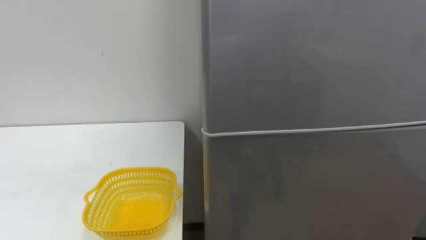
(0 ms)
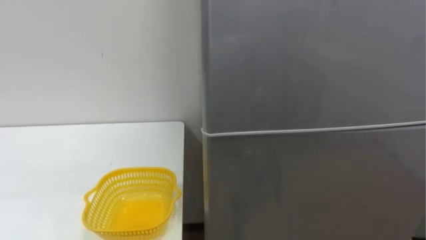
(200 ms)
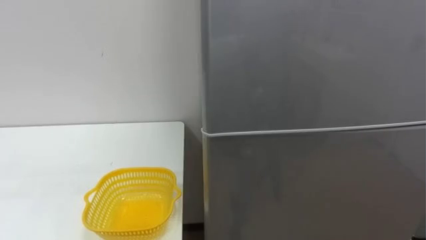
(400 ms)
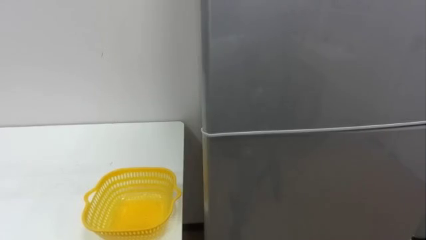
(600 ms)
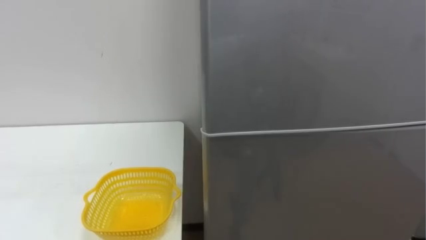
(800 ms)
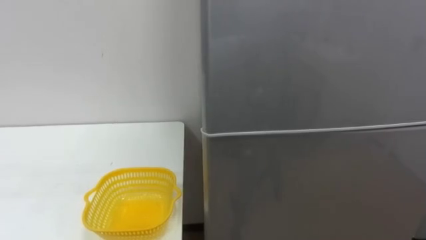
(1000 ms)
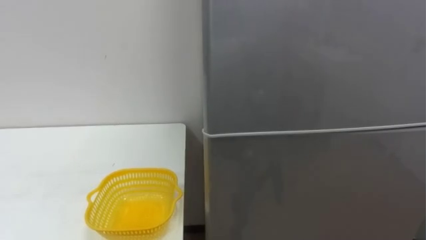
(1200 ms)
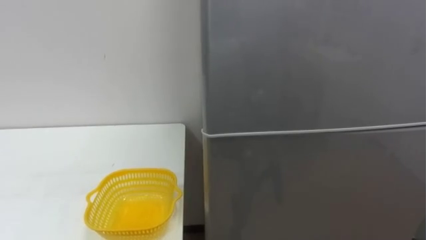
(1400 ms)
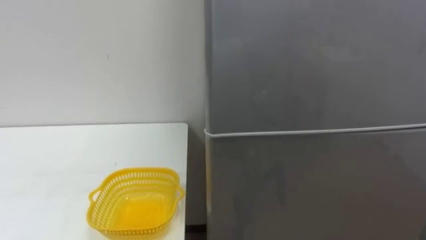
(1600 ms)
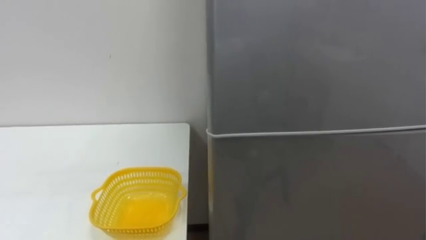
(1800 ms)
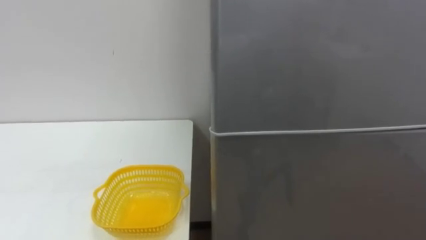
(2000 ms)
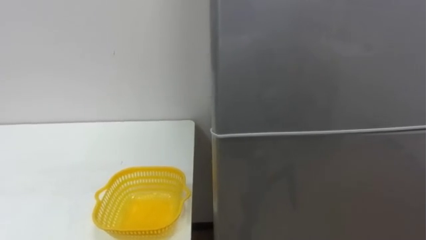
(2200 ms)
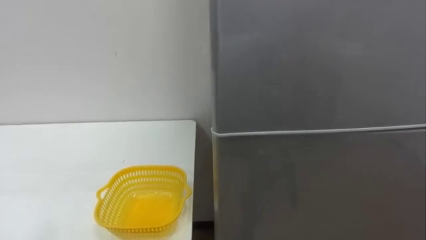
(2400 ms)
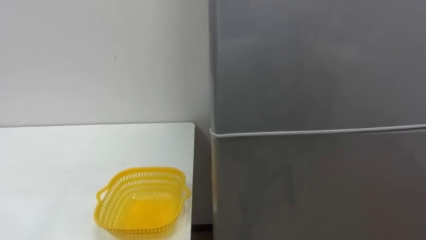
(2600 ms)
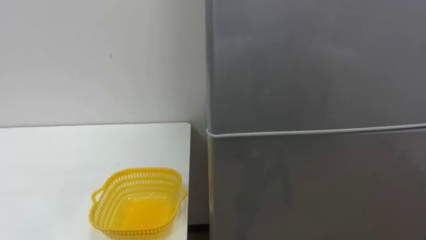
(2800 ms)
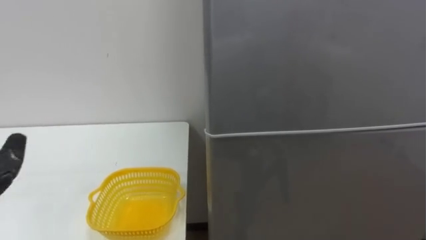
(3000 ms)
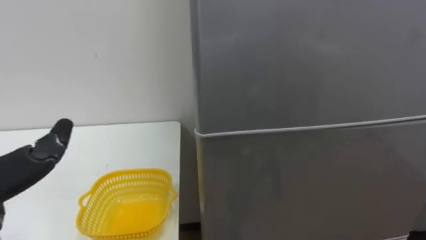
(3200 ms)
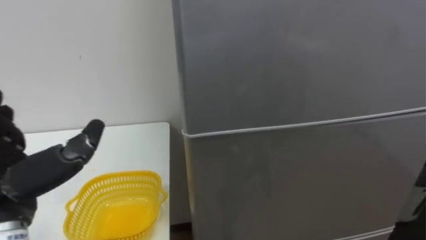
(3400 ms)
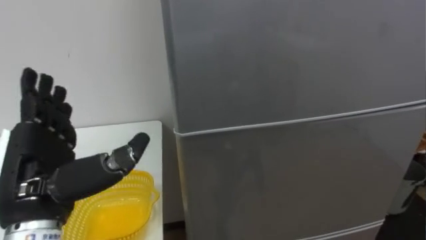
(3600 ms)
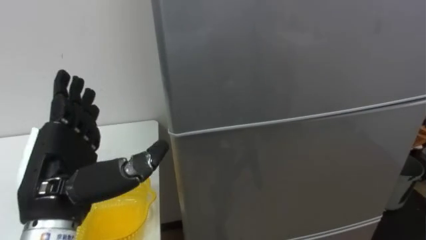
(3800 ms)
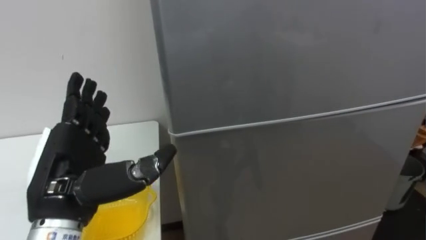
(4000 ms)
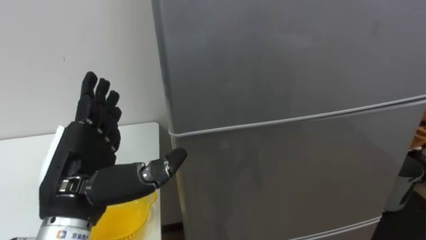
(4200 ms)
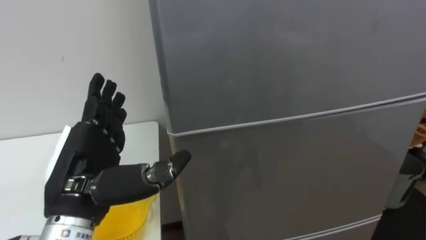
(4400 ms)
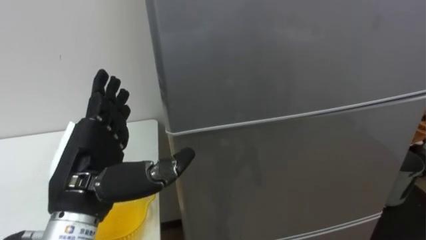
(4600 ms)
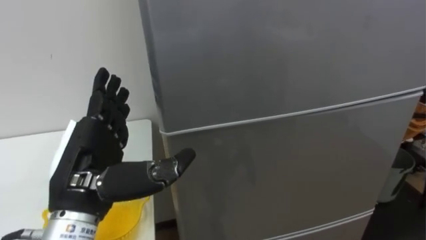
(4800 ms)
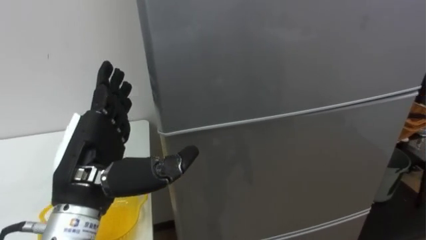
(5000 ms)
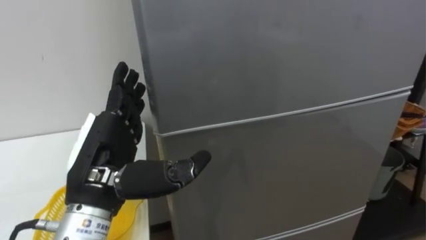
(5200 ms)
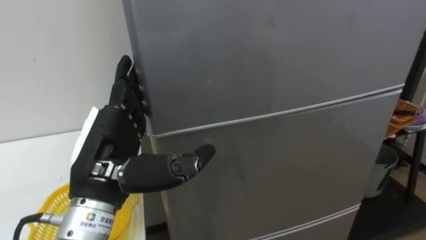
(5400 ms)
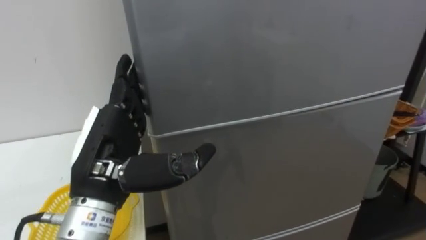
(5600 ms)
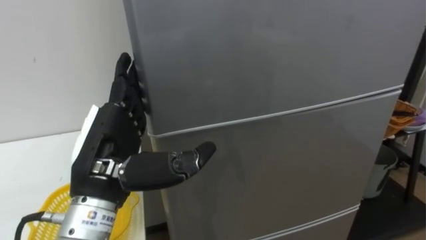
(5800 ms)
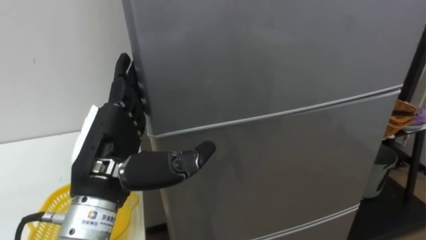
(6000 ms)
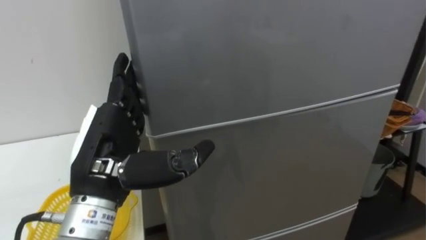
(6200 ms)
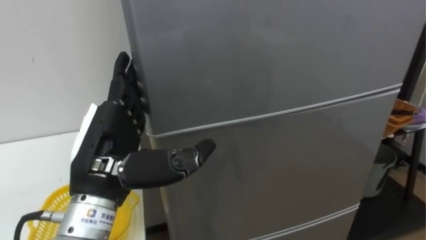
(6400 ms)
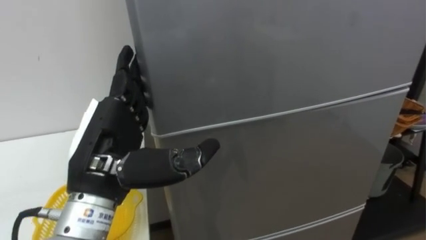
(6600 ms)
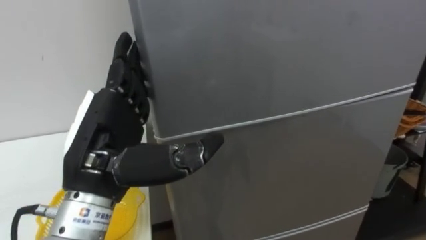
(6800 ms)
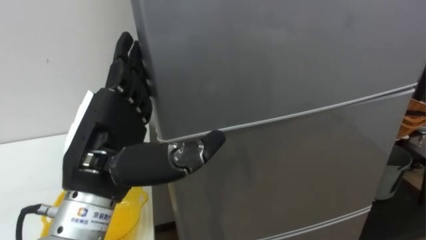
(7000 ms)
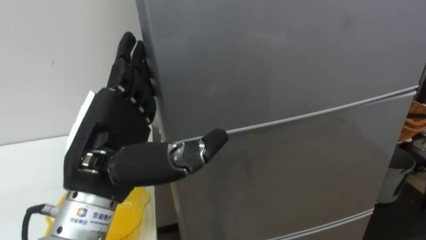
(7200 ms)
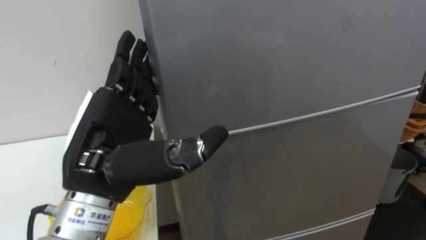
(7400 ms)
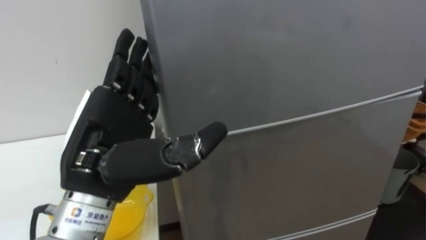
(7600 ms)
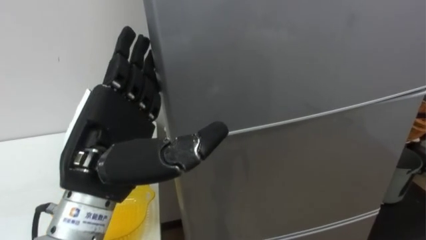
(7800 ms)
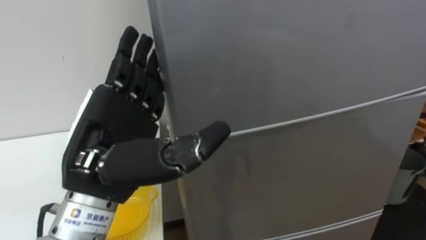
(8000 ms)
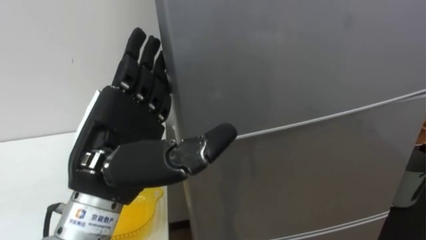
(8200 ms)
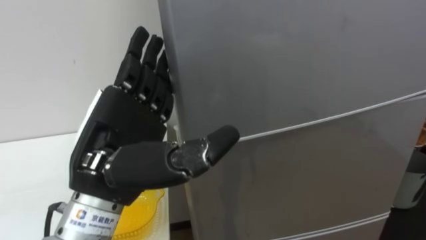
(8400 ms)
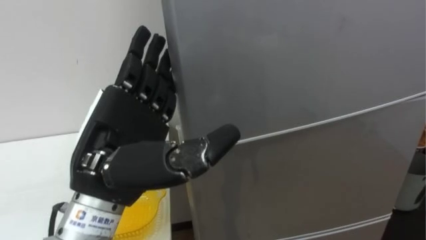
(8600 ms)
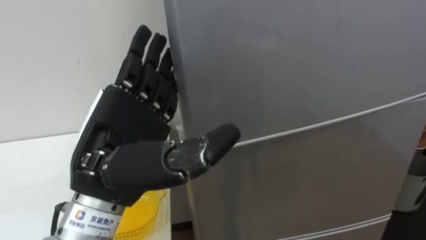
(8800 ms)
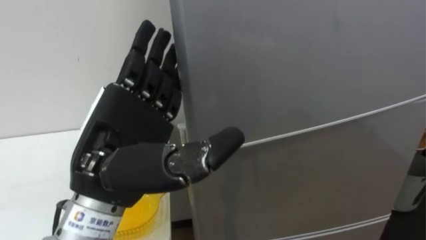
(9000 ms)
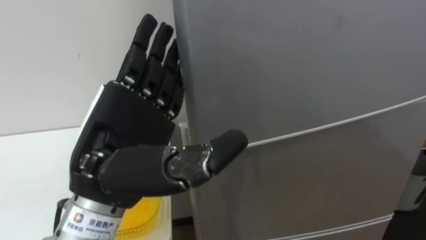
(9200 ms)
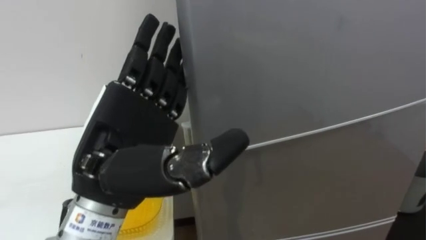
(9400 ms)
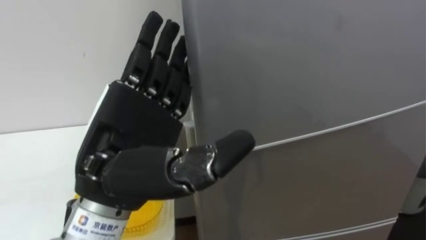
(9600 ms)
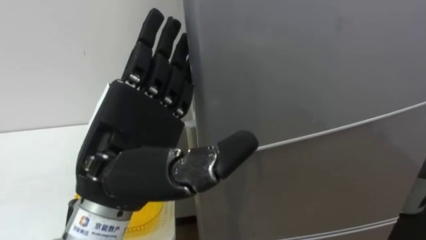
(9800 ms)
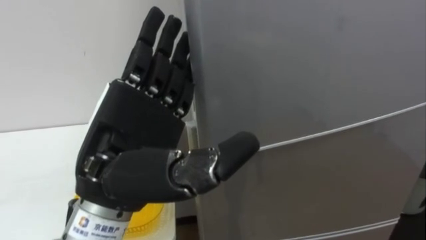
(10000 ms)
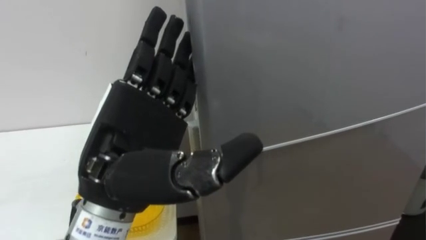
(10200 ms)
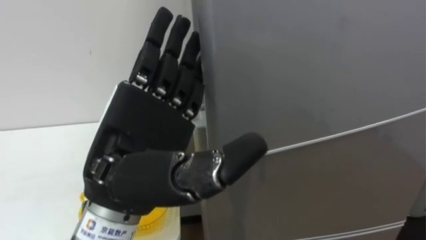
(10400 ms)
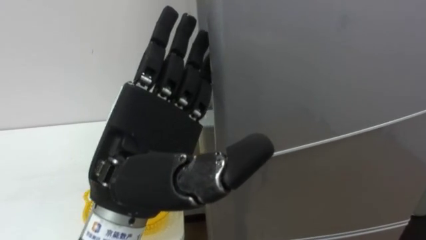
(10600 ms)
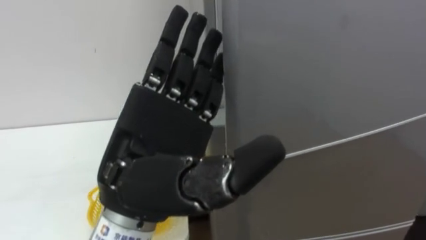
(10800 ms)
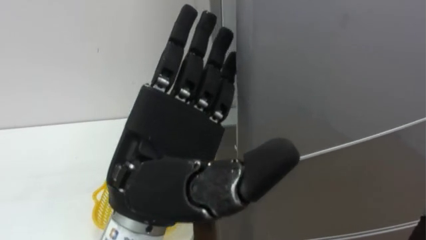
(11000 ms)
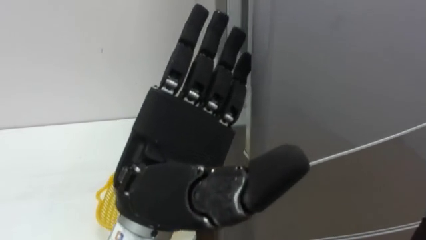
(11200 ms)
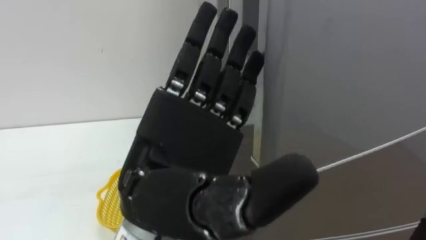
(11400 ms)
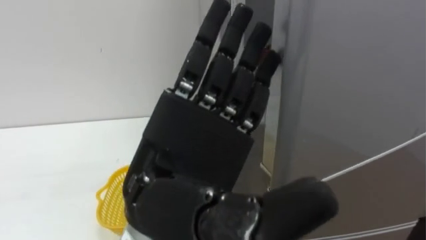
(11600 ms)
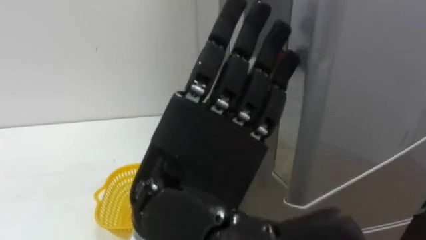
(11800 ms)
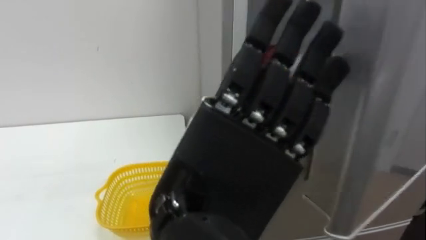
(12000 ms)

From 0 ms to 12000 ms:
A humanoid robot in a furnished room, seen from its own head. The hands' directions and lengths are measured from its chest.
Task of the whole recording: Open the refrigerator door, take out the apple and the pomegranate, place them in the fruit basket on the left, and close the refrigerator door.
From 10400 ms to 12000 ms: The left hand shifts about 10 cm to the right and backward.

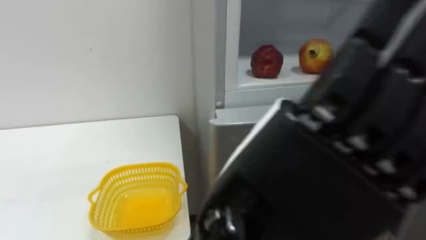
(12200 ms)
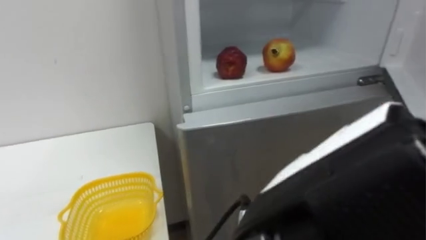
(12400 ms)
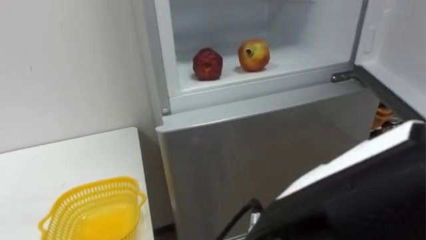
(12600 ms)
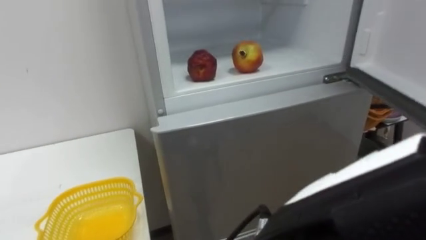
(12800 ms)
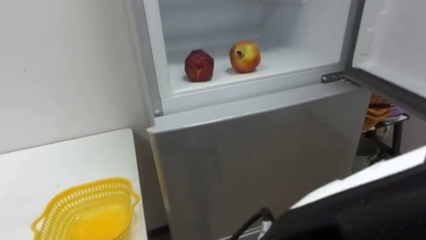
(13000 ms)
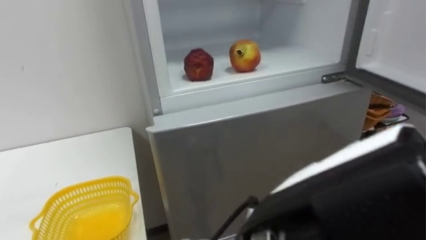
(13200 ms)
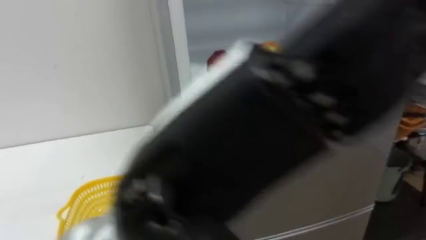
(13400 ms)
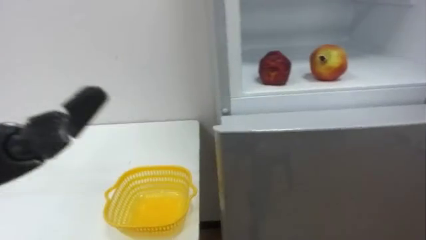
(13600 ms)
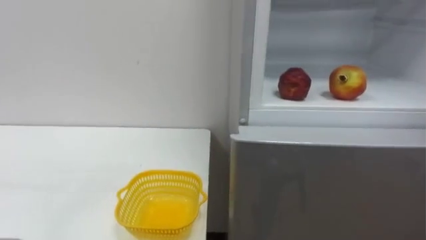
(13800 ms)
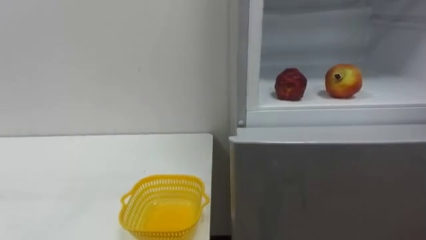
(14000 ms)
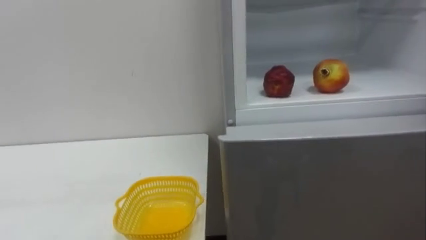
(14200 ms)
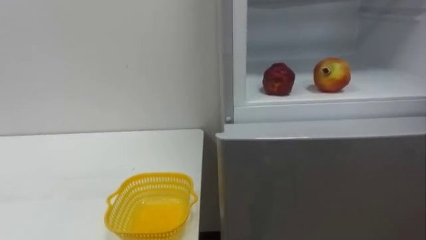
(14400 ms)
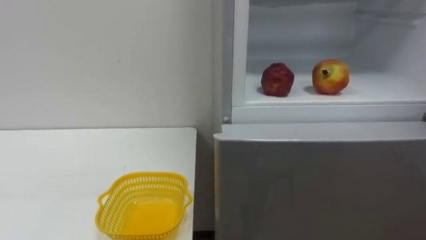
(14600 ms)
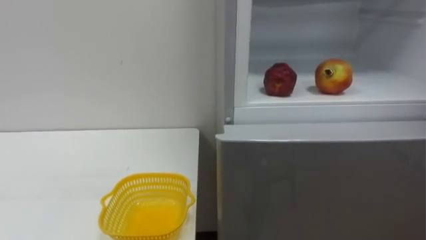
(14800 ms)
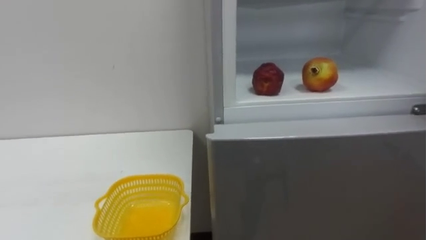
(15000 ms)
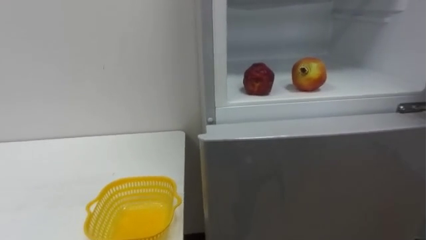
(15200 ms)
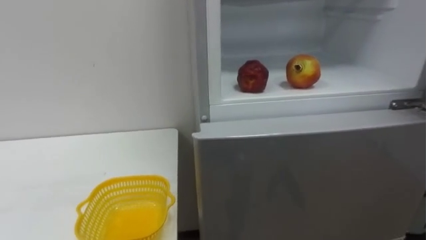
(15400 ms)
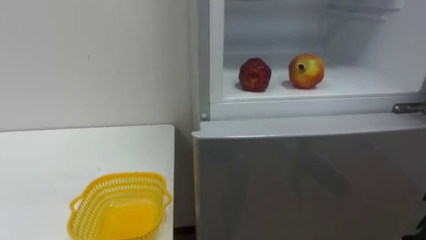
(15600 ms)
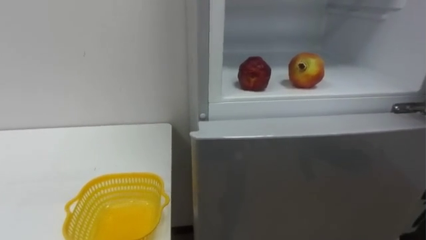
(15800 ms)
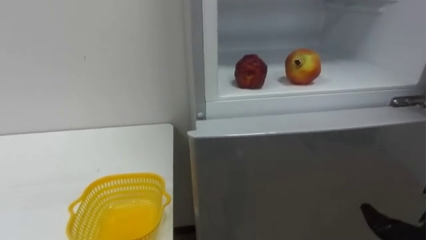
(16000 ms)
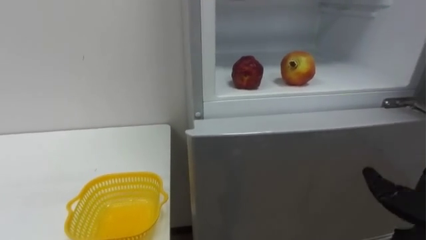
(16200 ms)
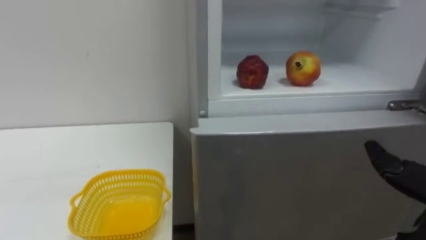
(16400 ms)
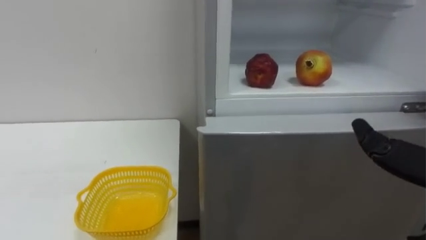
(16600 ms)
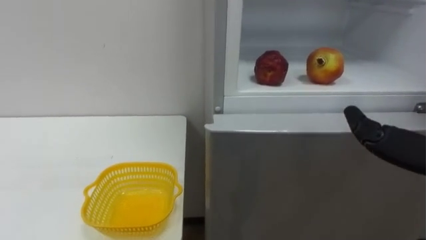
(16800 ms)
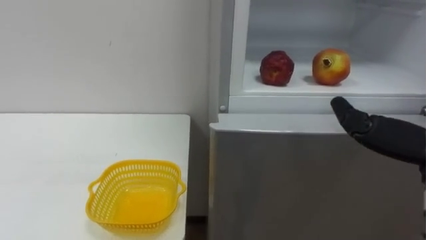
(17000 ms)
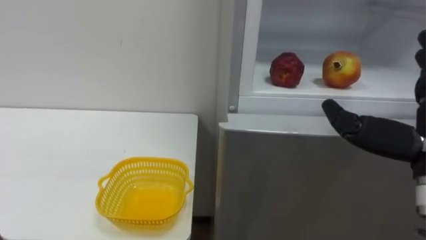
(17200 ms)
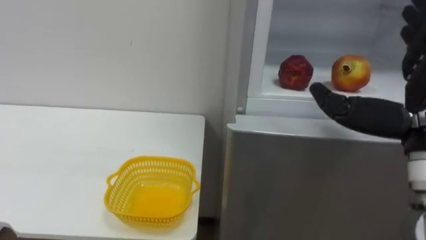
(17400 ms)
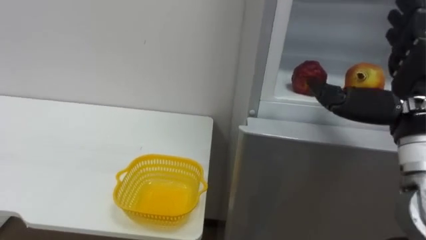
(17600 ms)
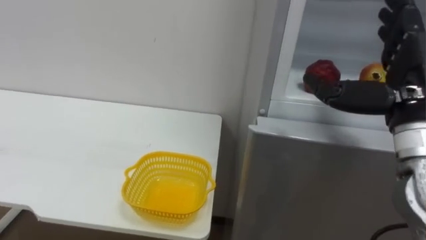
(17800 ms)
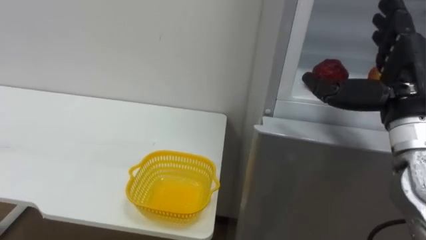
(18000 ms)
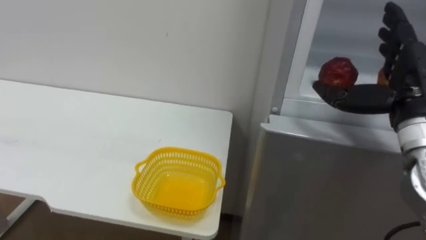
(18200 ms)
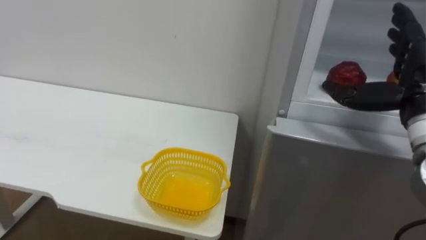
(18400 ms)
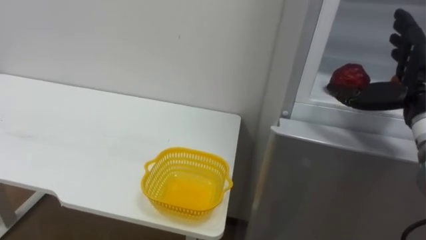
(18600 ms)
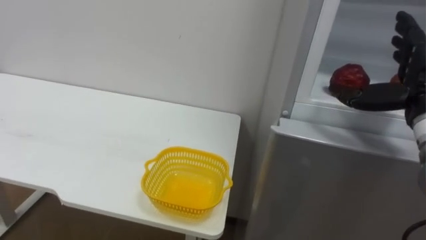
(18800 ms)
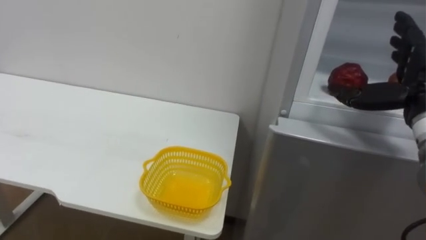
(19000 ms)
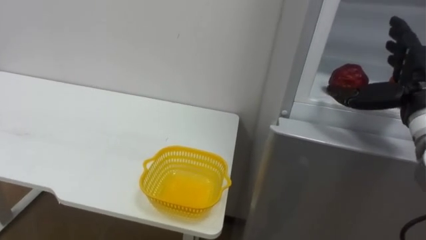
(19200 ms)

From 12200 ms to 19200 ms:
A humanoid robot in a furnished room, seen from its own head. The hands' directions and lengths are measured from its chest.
Task of the whole recording: Open the refrigerator door, take out the apple and the pomegranate, place them in the fruit basket on the left, and close the refrigerator door.
From 17800 ms to 19200 ms: The right hand shifts approximately 10 cm forward and to the right.
